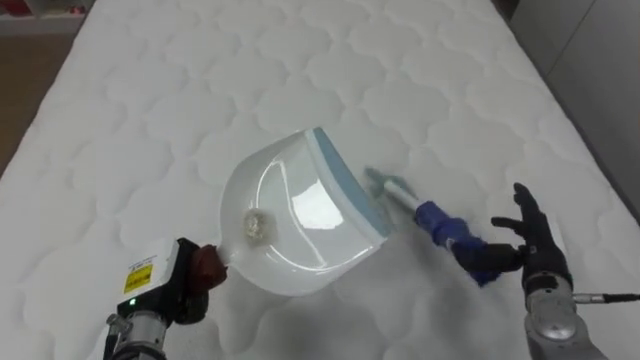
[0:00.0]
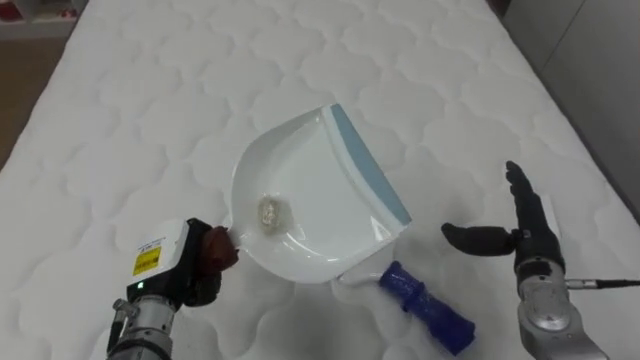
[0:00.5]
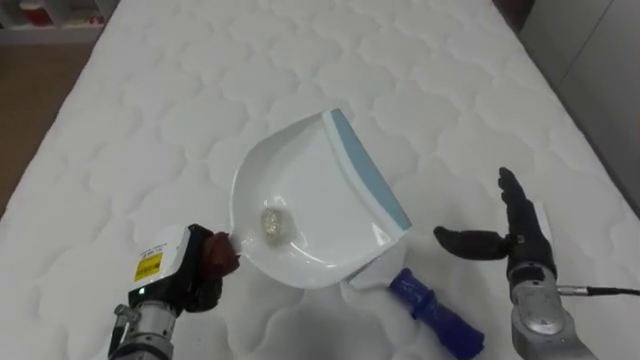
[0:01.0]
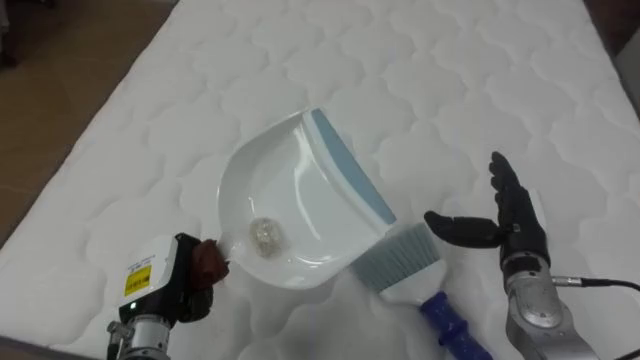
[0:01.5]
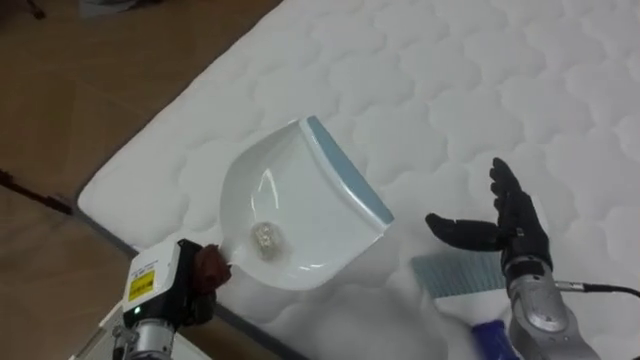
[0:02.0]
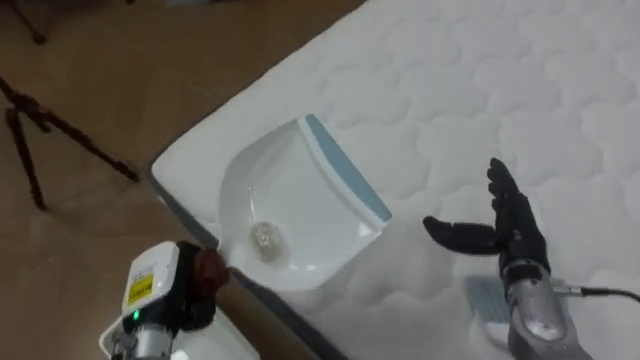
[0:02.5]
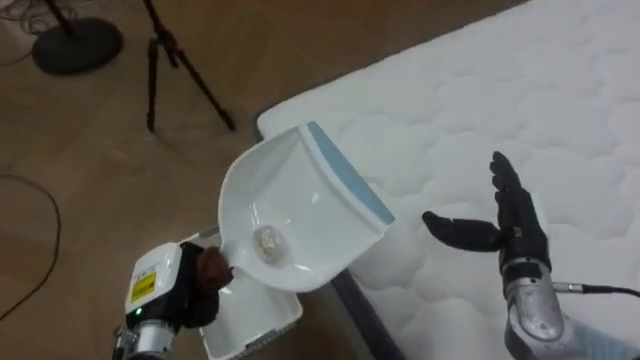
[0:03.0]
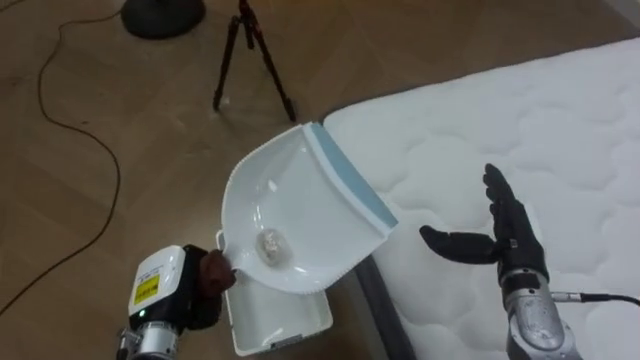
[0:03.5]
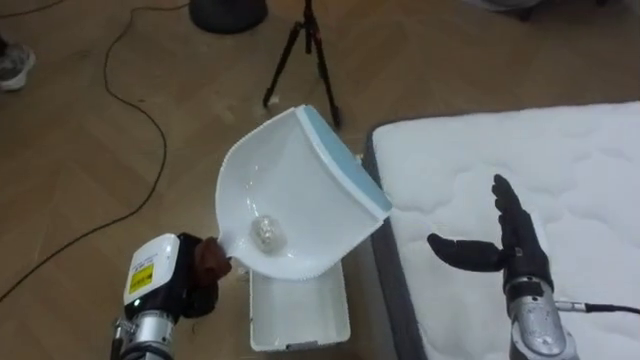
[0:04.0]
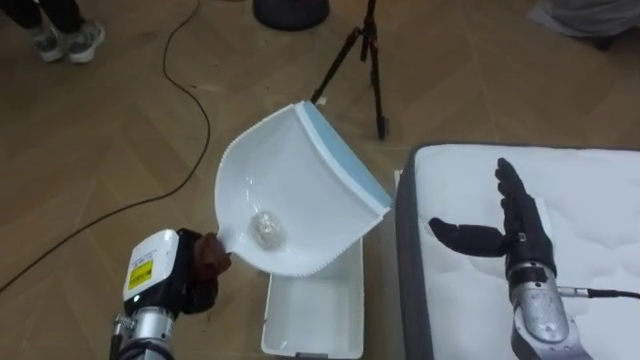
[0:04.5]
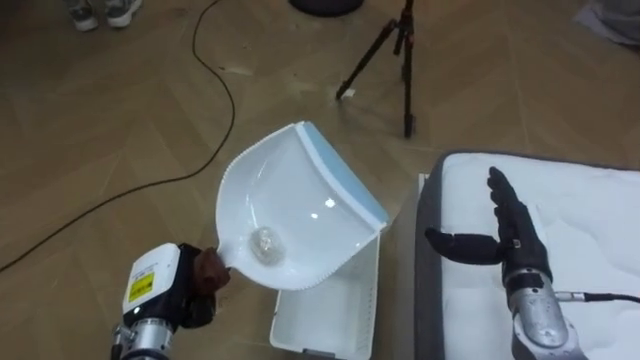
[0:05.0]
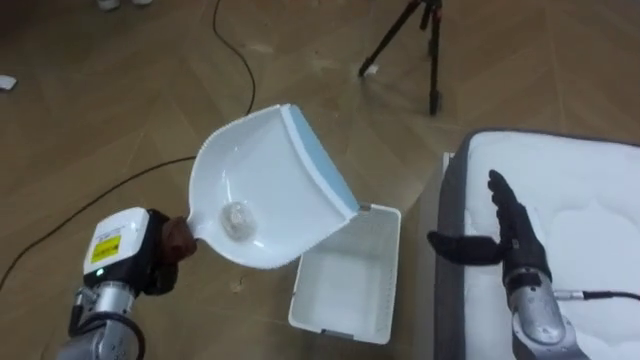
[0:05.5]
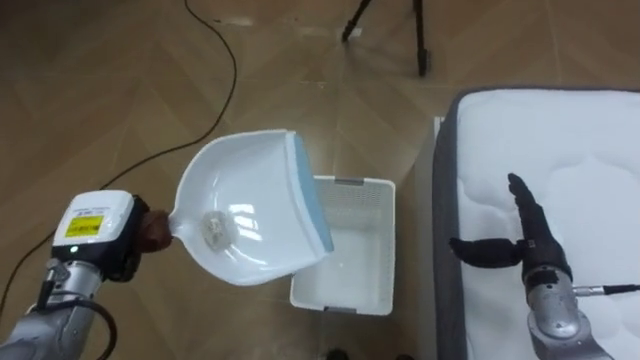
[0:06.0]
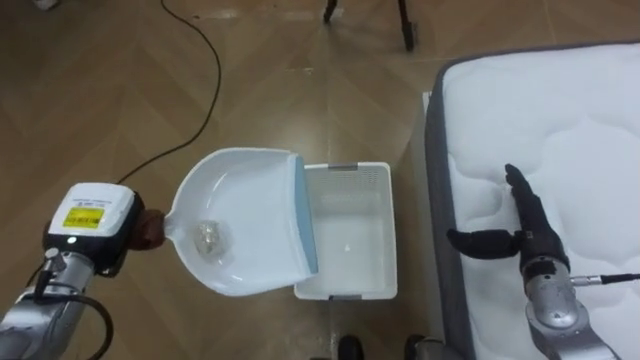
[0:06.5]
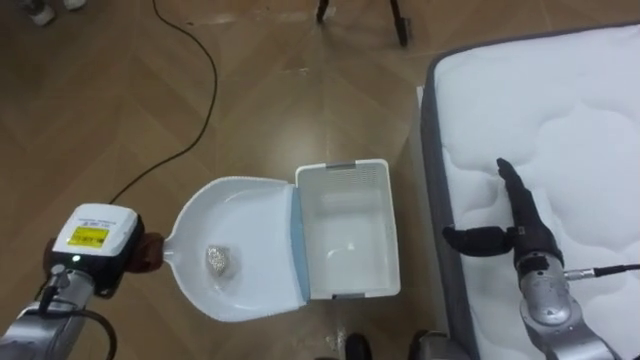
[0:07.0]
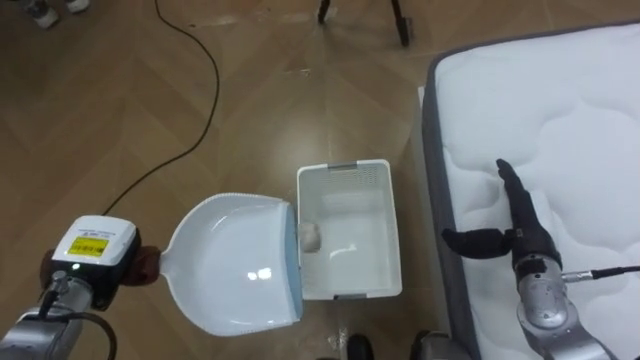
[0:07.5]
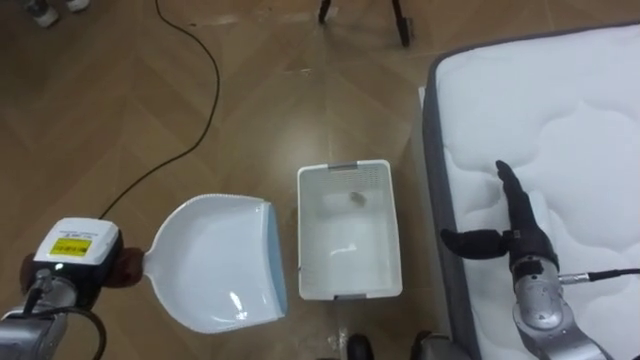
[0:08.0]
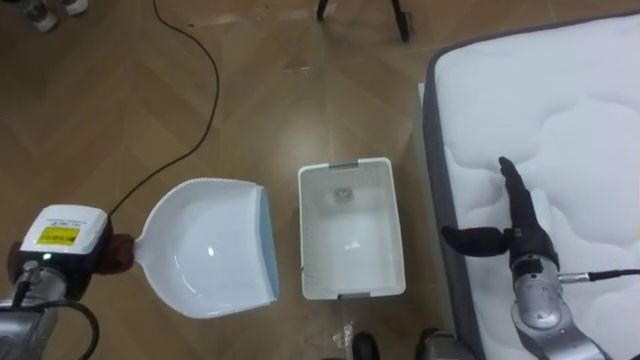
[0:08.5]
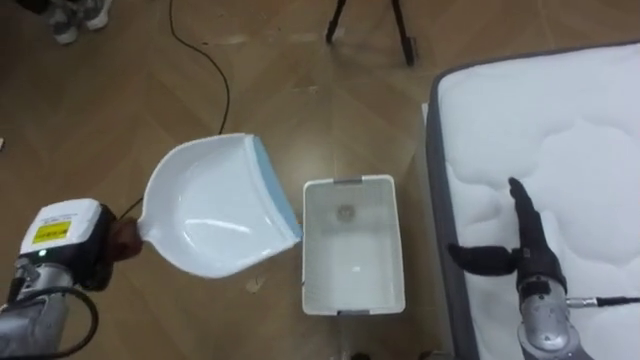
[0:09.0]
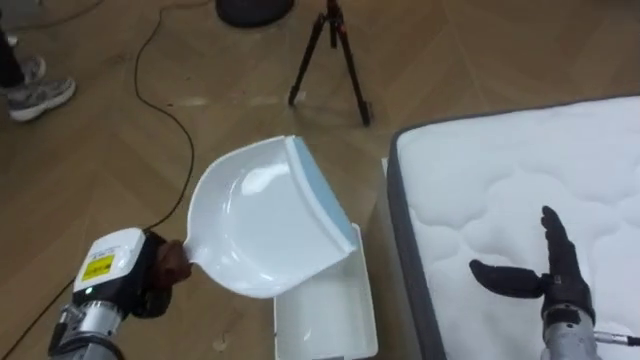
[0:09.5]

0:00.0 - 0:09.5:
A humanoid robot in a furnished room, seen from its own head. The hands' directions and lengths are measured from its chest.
Task of the whole recording: Pick up the brush on your right and the dustpan on your left. Use the brush to sweep the crumpled paper on the bed into the dustpan, then turn left and empty it into the basket.
0:00.0 - 0:02.0: The robot faces roughly 35 degrees further to its left.
0:02.0 - 0:04.0: The robot turns to its left by about 50 degrees.
0:04.0 - 0:05.5: The robot's body swings about 20 degrees to its left. The left hand shifts by roughly 5 cm.
0:07.5 - 0:09.5: The right hand moves backward, about 5 cm.

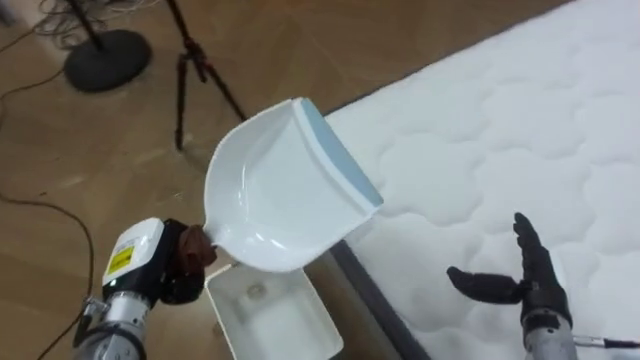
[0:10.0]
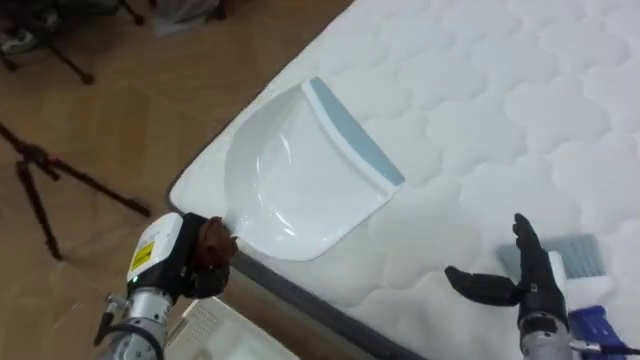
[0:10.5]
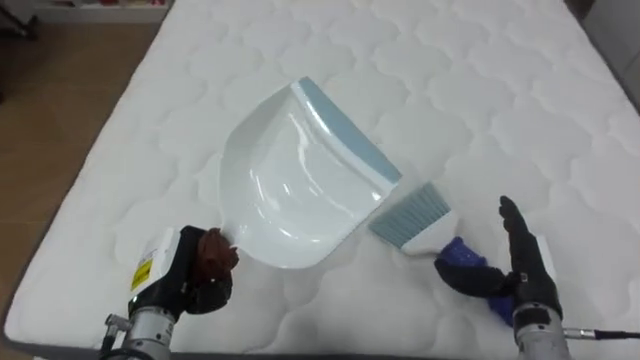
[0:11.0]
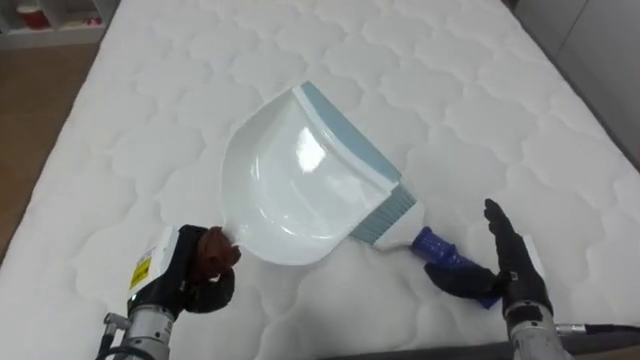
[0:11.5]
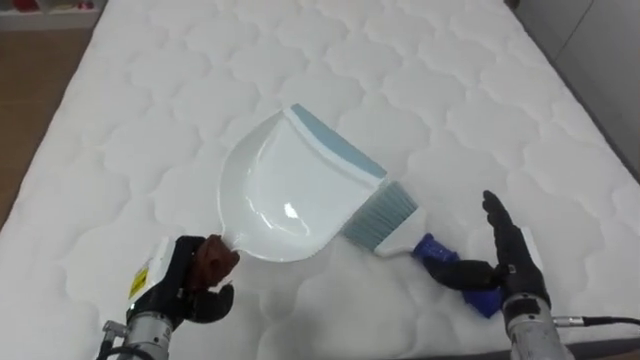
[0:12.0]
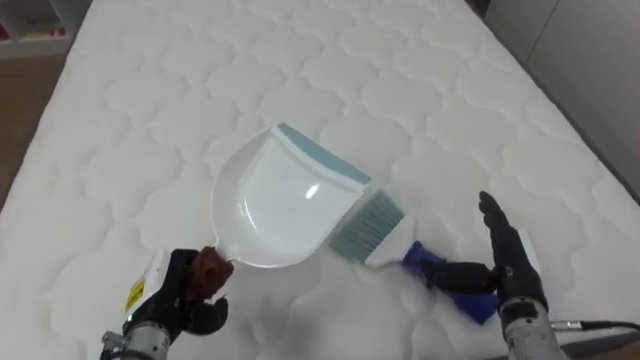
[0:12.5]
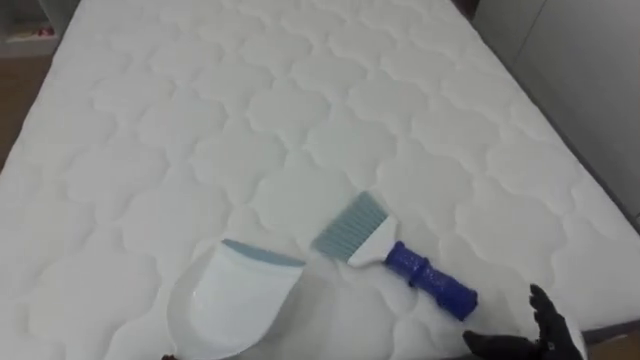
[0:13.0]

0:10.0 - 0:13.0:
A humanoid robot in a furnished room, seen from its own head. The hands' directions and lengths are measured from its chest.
Task of the whole recording: Pick up the brush on your right and the dustpan on your left. Use the brush to sweep the crumpled paper on the bed into the dustpan, then turn left and empty it into the basket.
0:10.0 - 0:11.5: The robot's body swings approximately 60 degrees to its right.
0:11.5 - 0:13.0: The right hand heads backward and downward, covering roughly 10 cm.

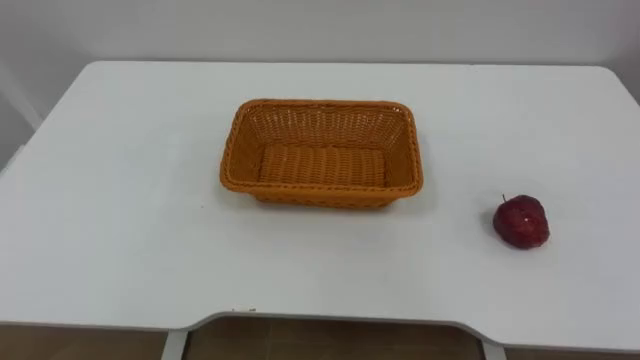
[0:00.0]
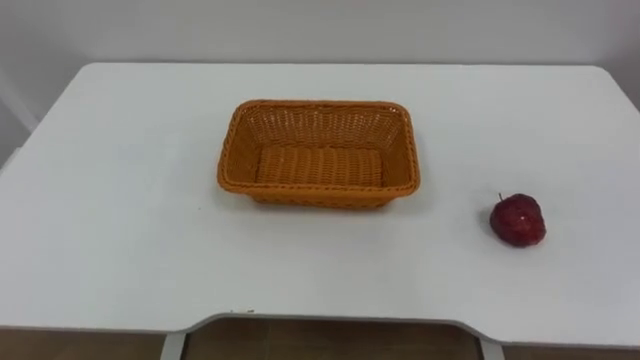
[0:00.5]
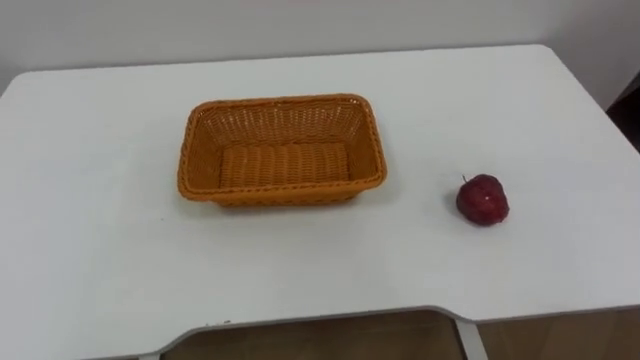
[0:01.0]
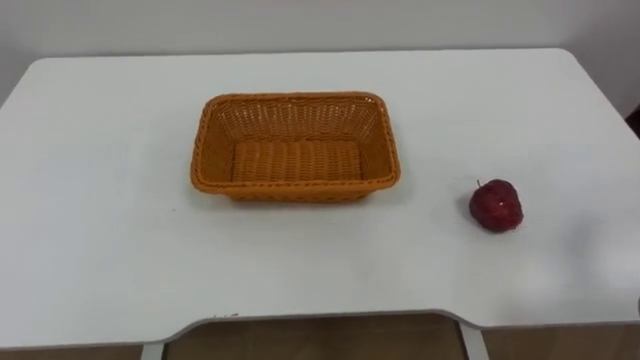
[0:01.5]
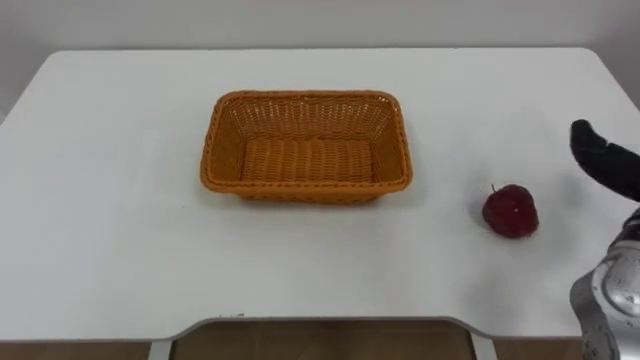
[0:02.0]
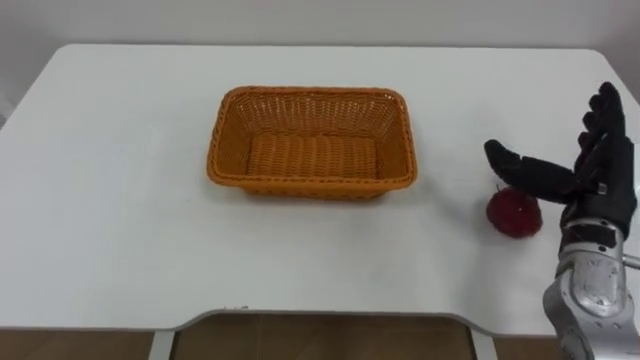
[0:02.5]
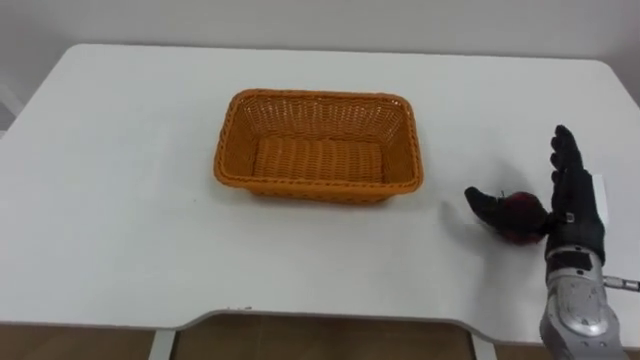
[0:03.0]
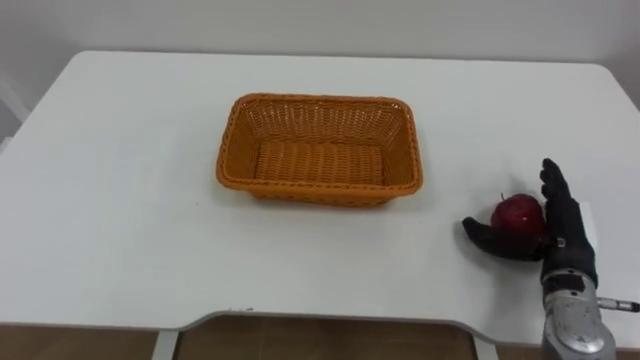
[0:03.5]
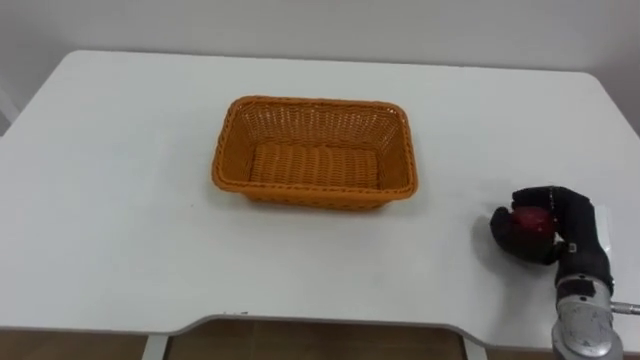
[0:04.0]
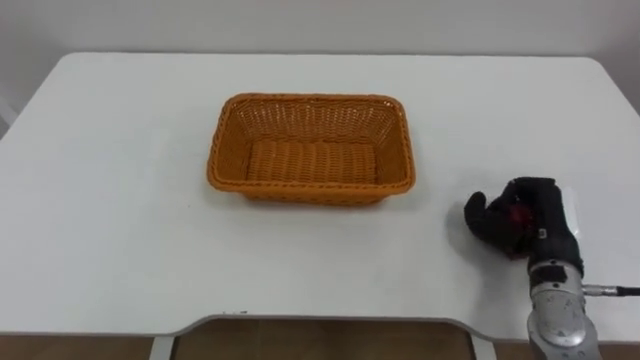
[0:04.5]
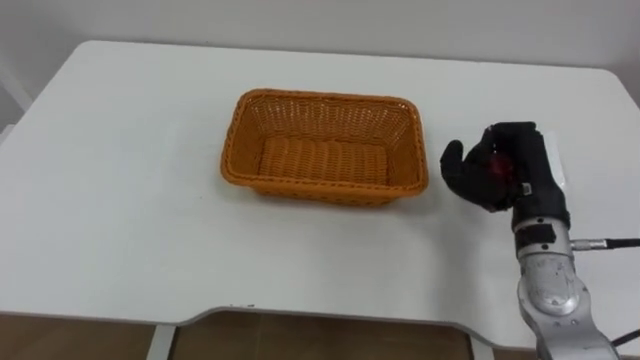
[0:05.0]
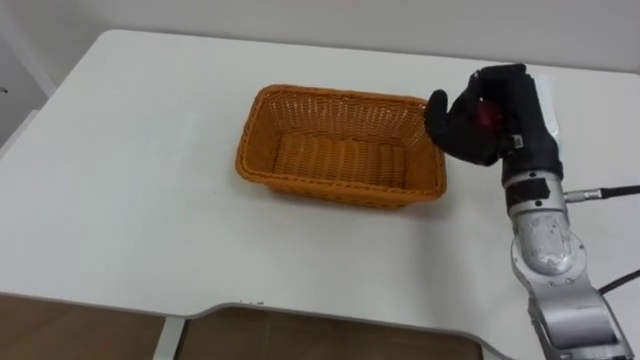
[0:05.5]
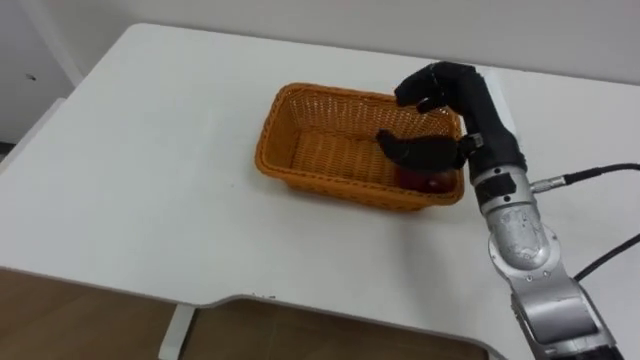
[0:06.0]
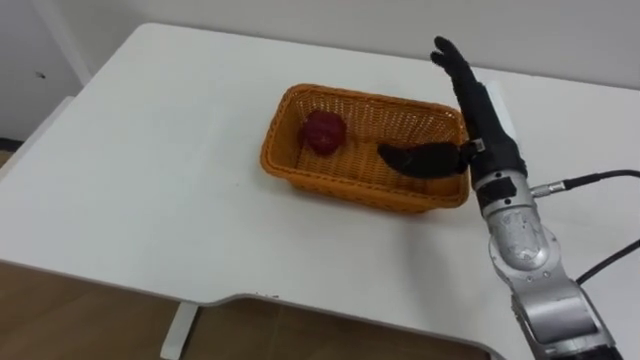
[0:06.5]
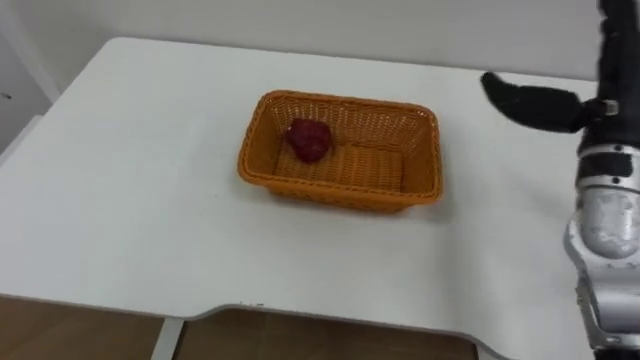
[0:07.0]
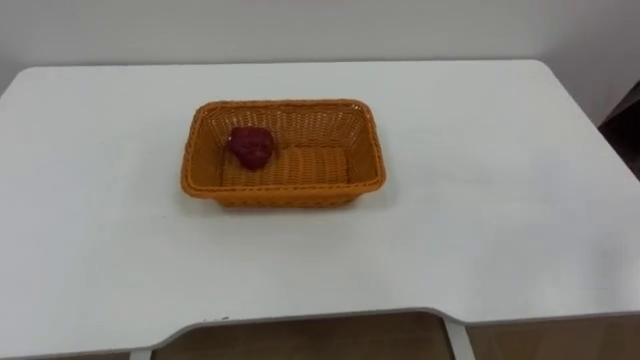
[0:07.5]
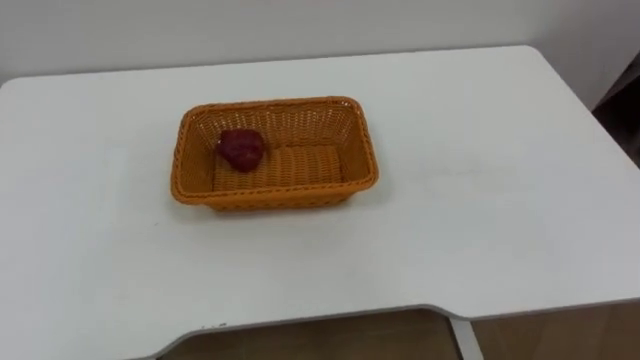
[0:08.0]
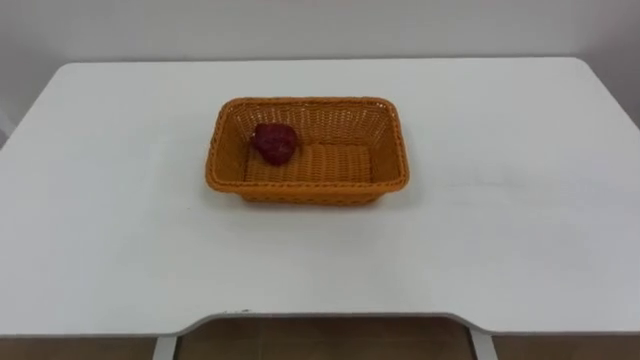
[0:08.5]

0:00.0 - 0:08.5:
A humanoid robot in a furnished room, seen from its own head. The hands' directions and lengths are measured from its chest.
Task of the whole recording: Pick the apple and place it in the box.
0:04.0 - 0:06.5: The right hand moves to the left, upward and forward, roughly 20 cm, and opens up.
